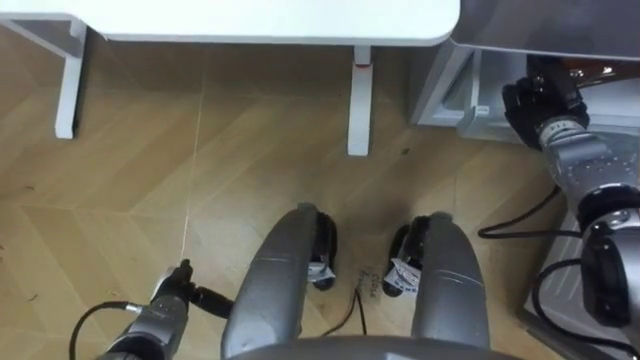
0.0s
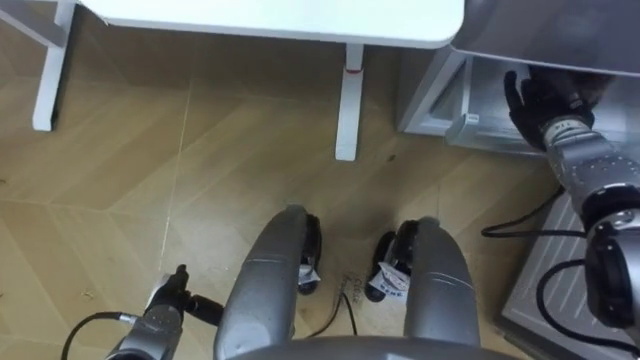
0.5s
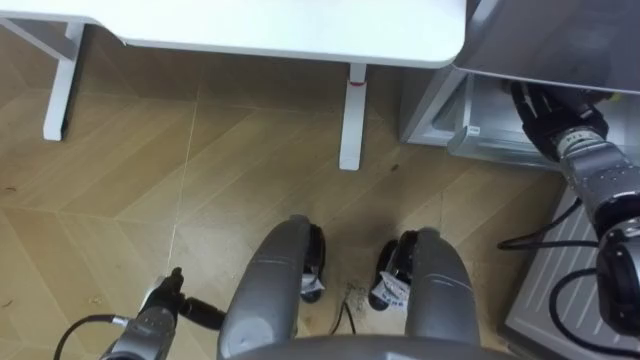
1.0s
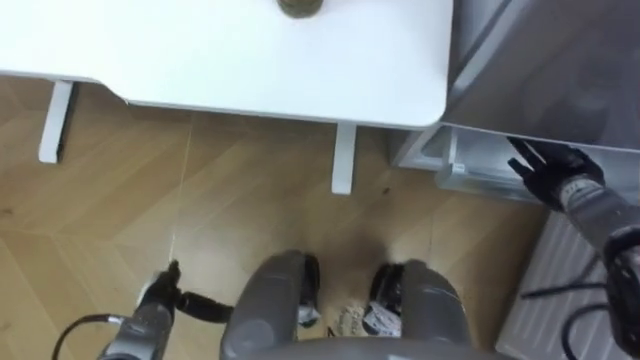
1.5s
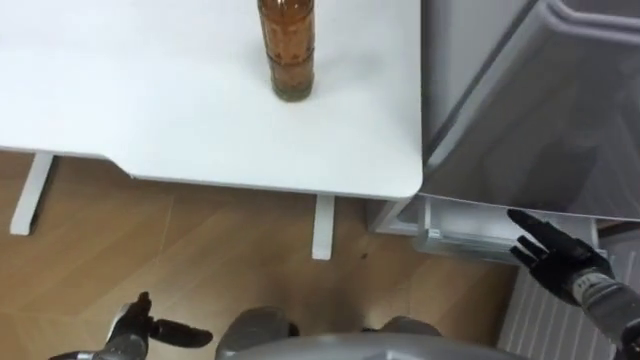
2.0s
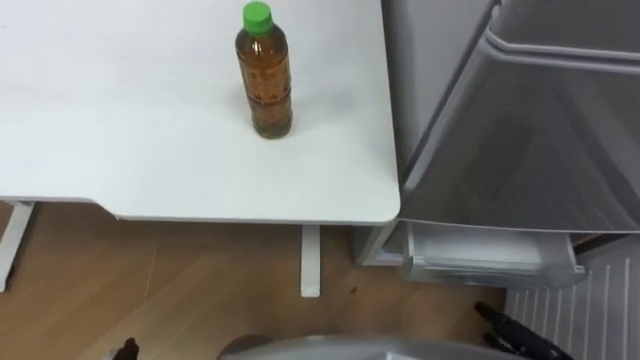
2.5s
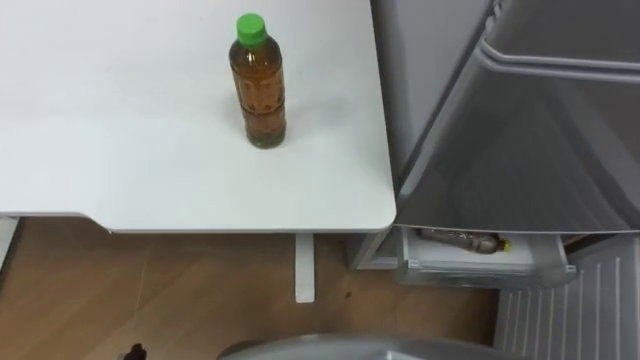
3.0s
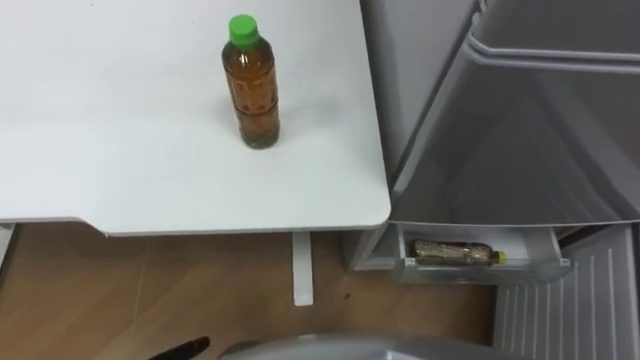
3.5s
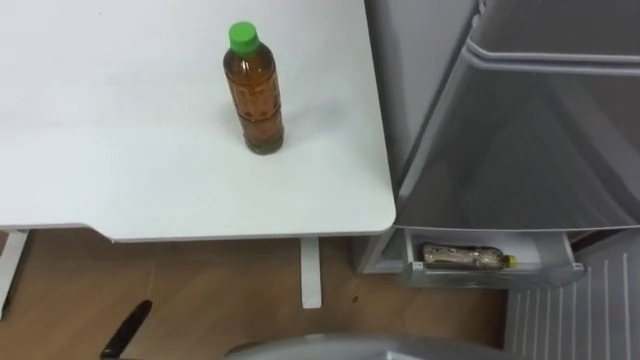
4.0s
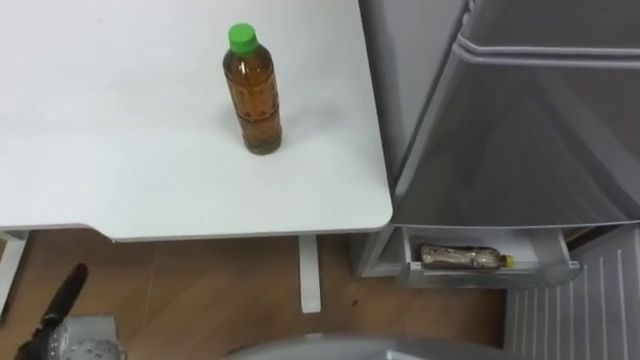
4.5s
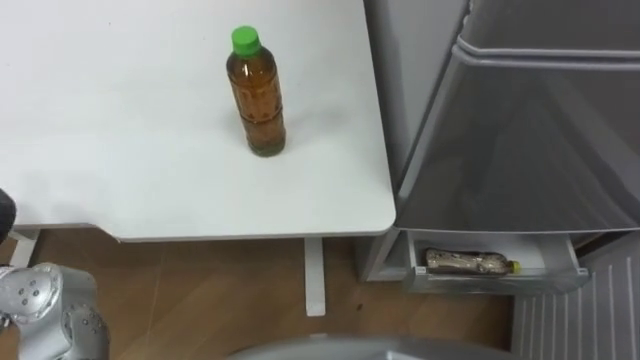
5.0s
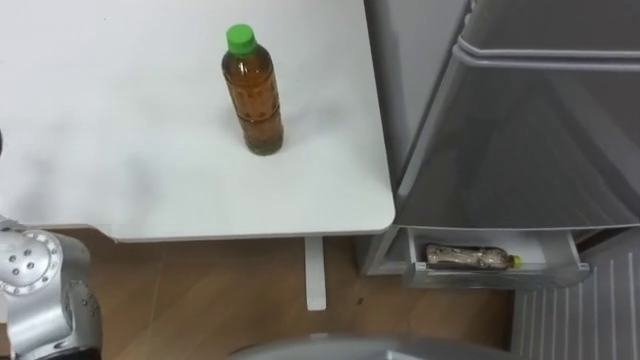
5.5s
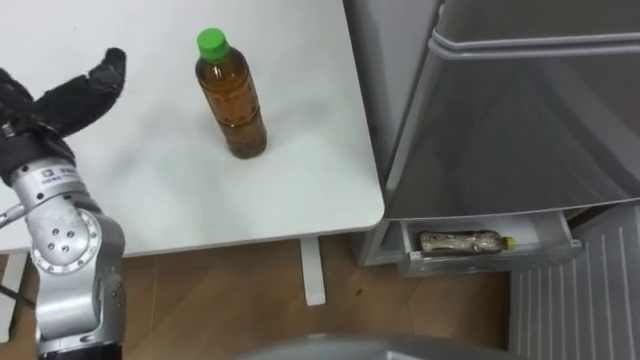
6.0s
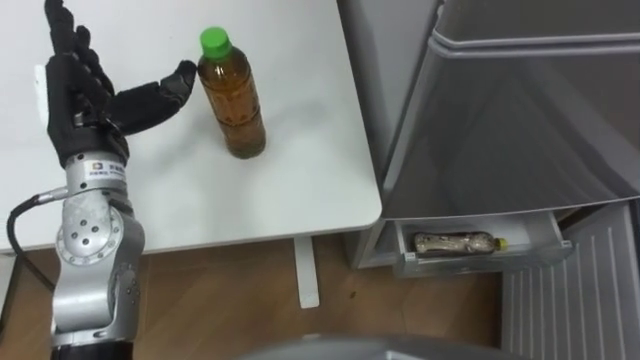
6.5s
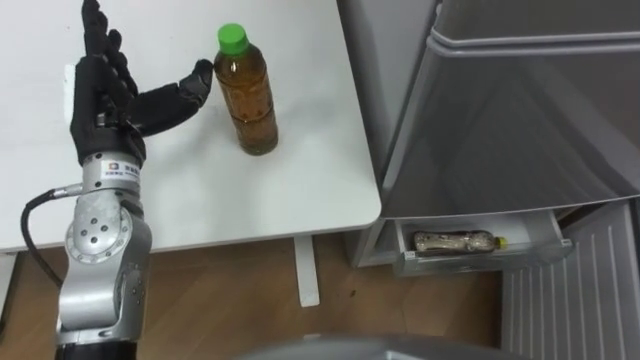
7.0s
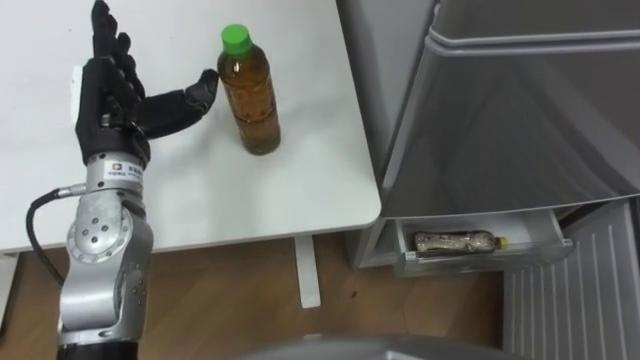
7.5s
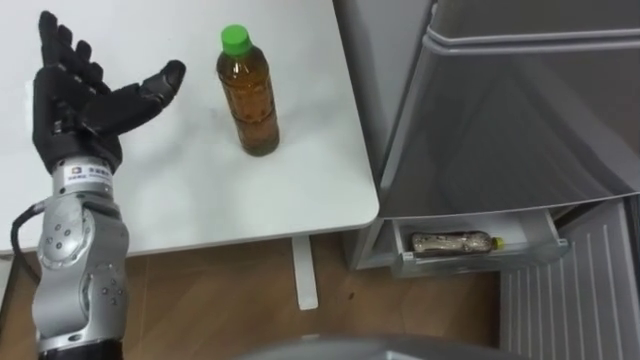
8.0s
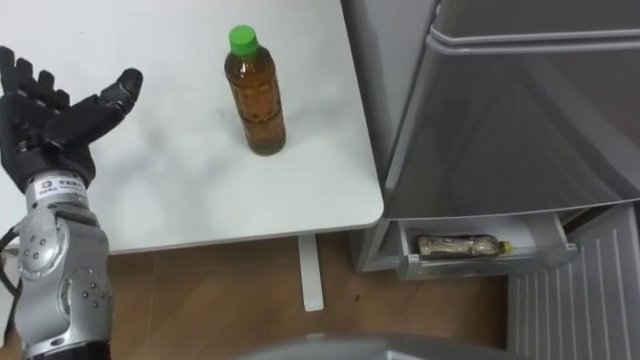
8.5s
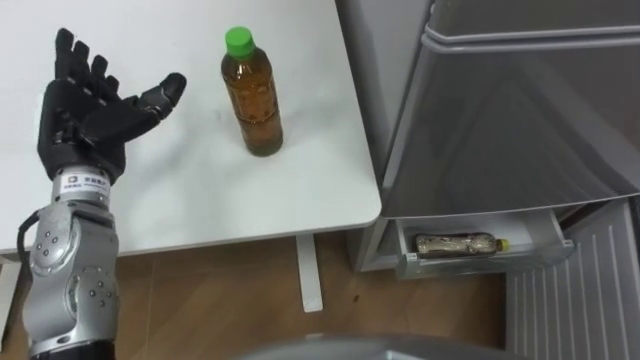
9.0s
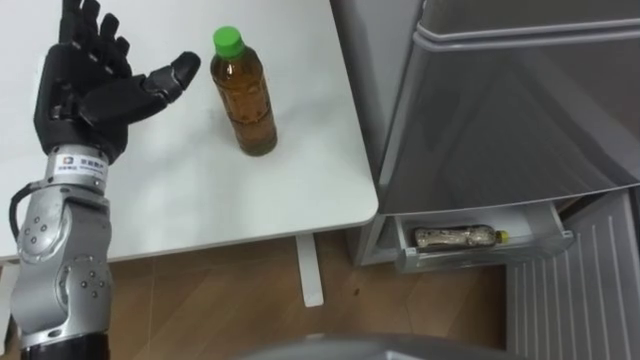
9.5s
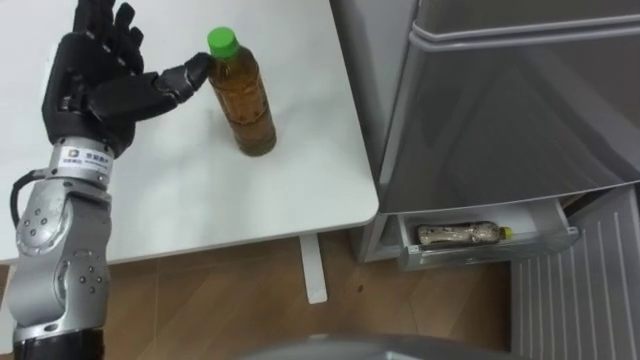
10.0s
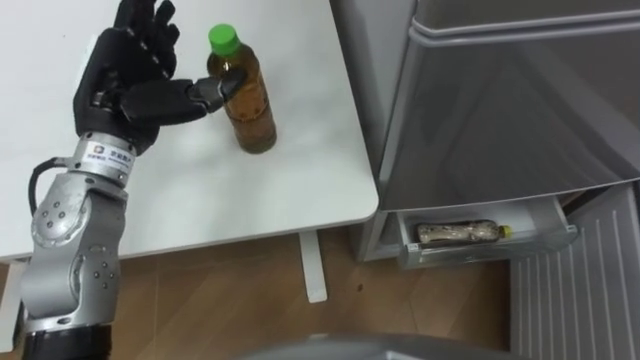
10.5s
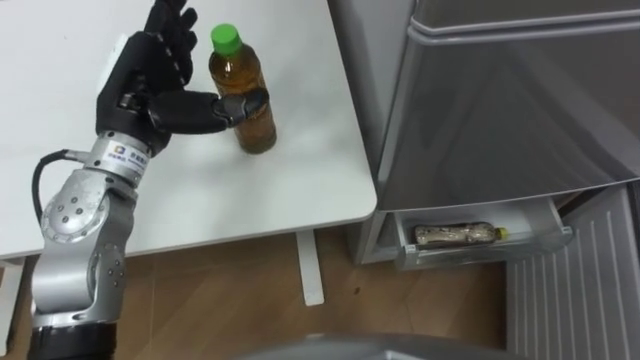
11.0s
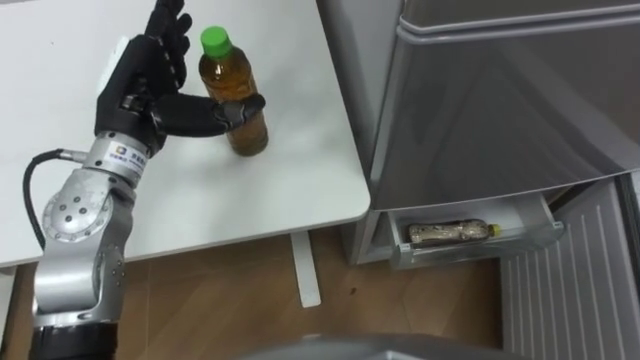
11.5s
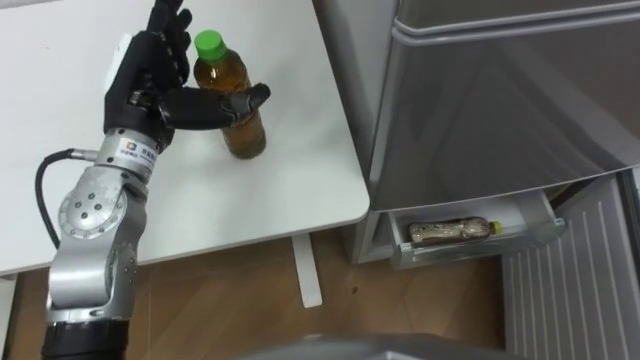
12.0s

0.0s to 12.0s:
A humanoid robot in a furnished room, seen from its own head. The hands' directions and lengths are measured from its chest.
Task of the whole recording: Place the drink on the table on the bottom shelf of the refrigerator, then close the drawer and the refrigerator door.
0.0s to 2.0s: The left hand changes place by about 5 cm. The right hand is displaced backward and downward by some 20 cm, and opens its fingers.
10.0s to 12.0s: The left hand heads to the right, covering some 5 cm.

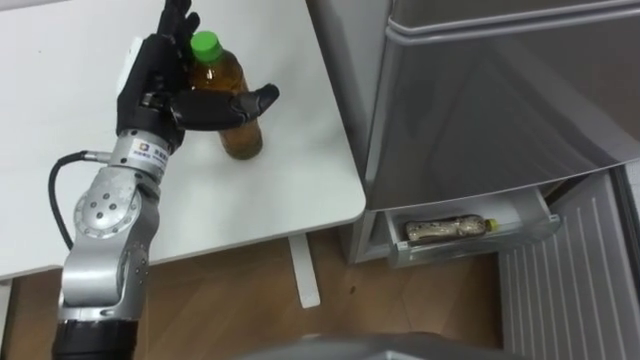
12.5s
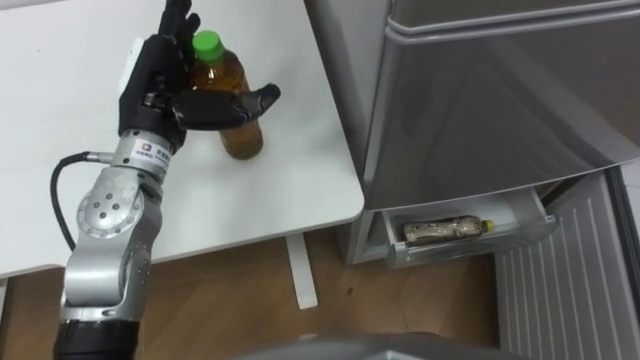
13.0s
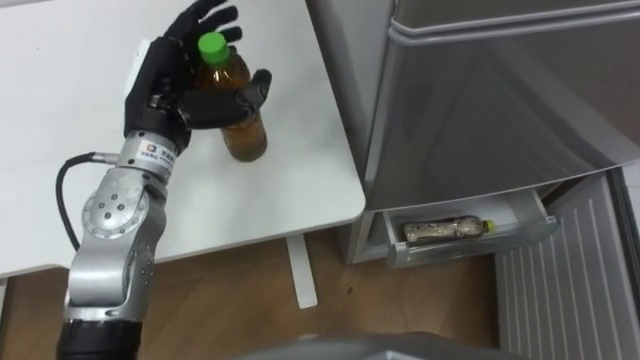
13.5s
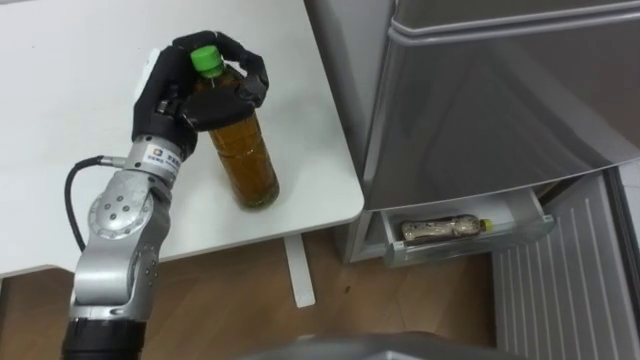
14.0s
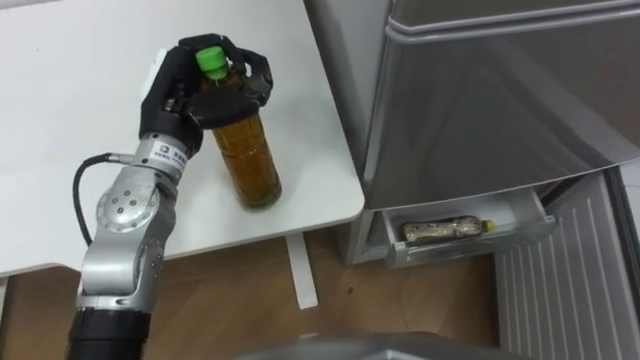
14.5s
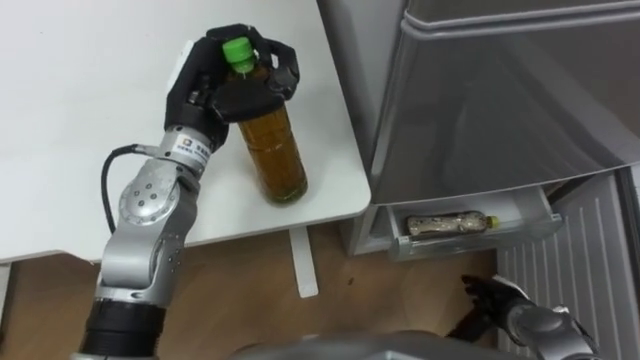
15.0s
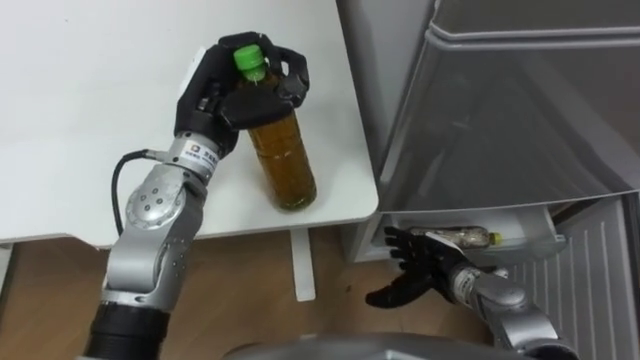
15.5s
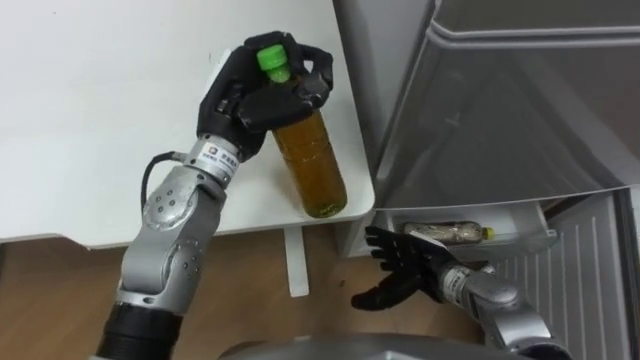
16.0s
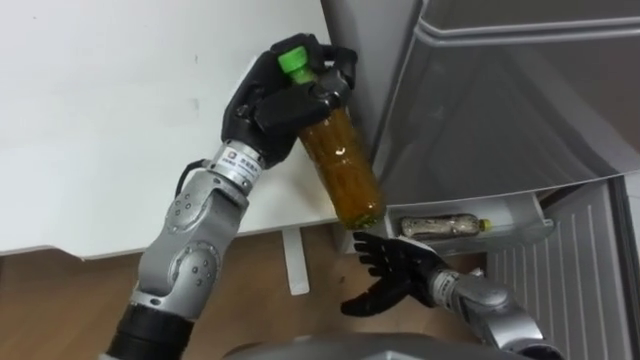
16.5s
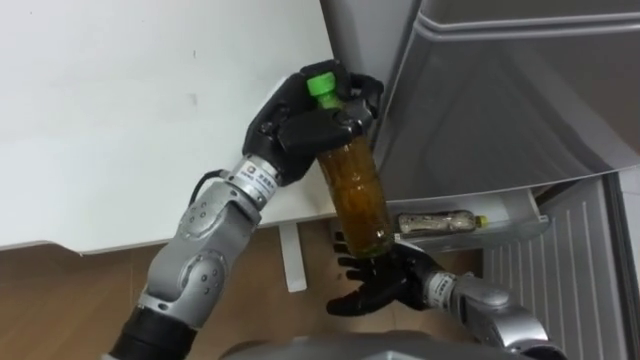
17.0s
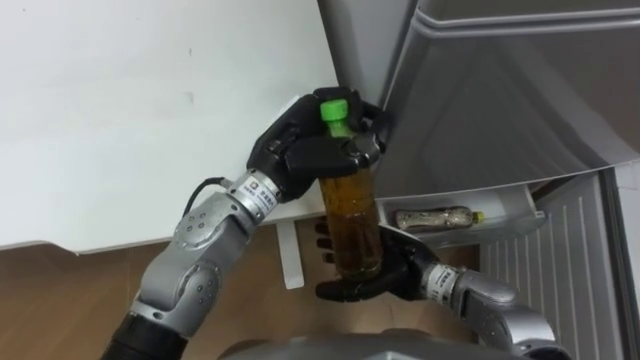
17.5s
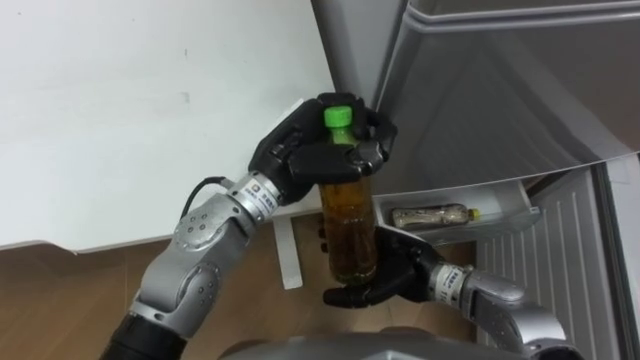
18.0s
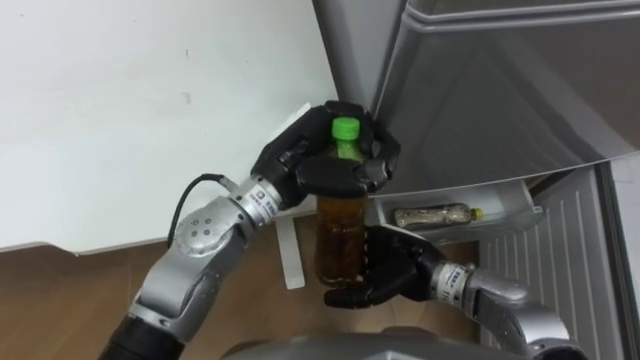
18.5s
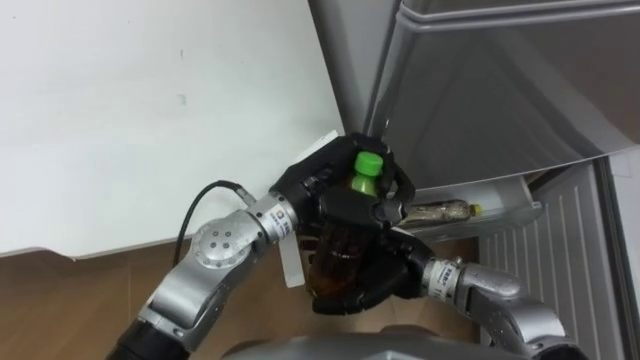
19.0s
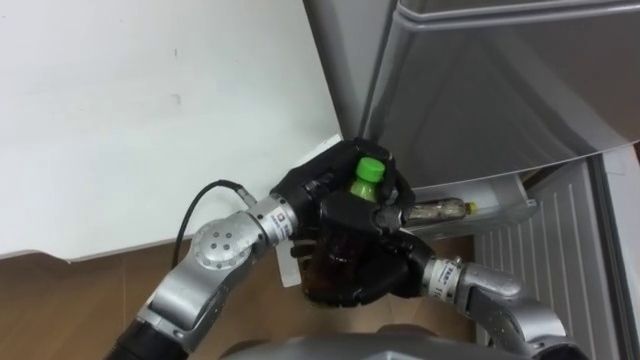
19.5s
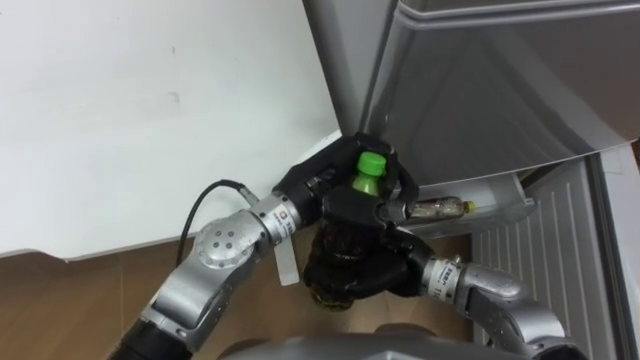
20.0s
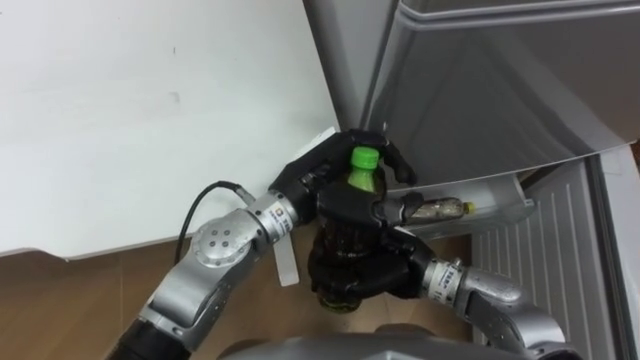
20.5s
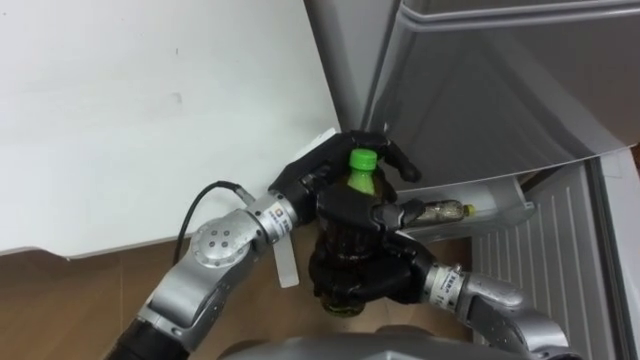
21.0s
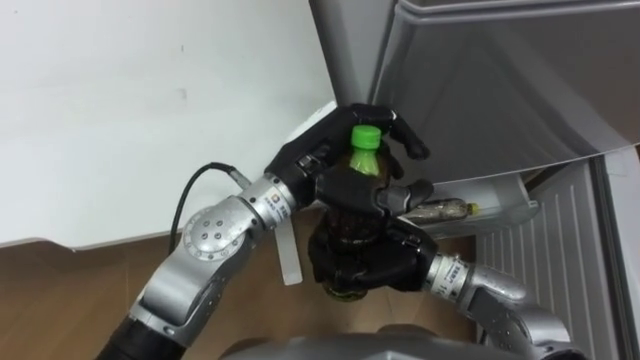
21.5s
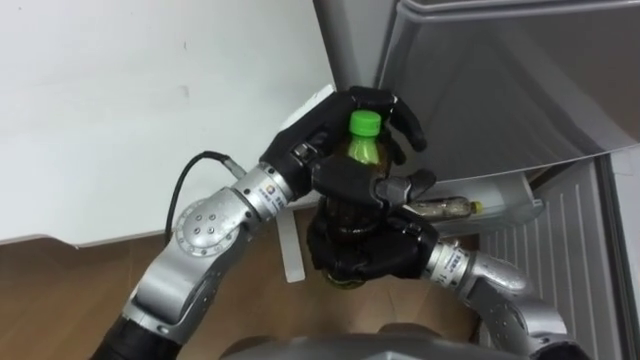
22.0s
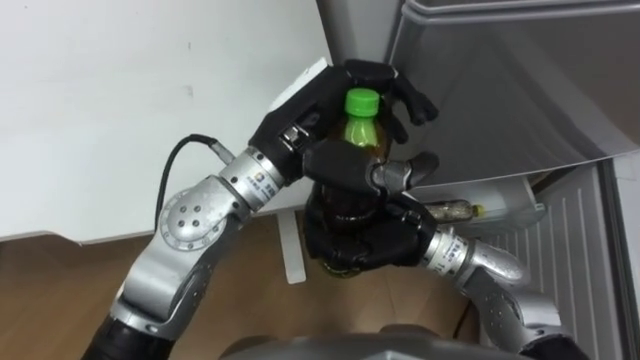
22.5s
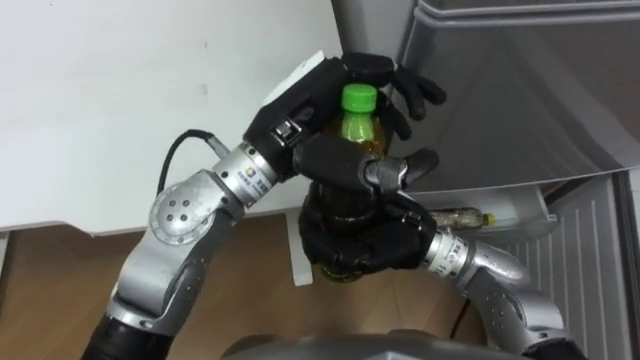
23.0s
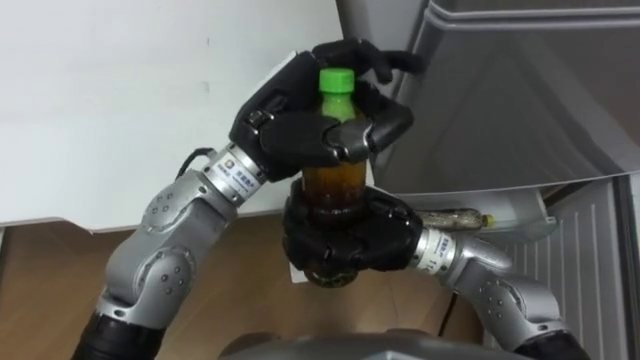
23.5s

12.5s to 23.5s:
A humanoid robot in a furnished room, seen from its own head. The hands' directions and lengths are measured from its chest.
Task of the whole recording: Place the drink on the table on the bottom shelf of the refrigerator, then close the drawer and the refrigerator door.
12.5s to 14.5s: The left hand closes up.
14.5s to 16.0s: The left hand shifts about 5 cm to the right.
16.0s to 18.0s: The left hand moves to the right, roughly 5 cm. The right hand changes place by roughly 5 cm.
18.0s to 20.0s: The right hand closes.
20.0s to 21.5s: The hands make only small movements.
21.5s to 23.5s: The hands both shift upward by roughly 5 cm.
